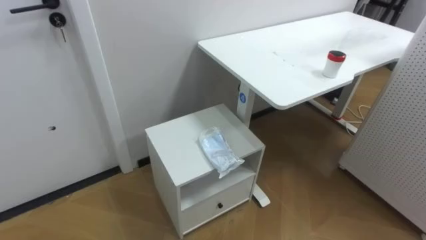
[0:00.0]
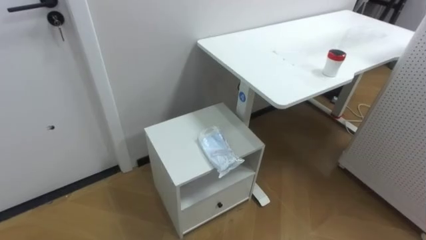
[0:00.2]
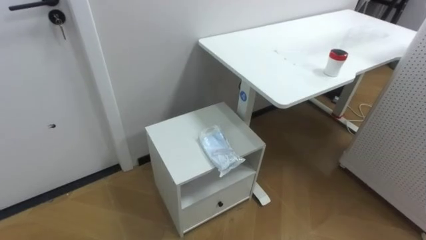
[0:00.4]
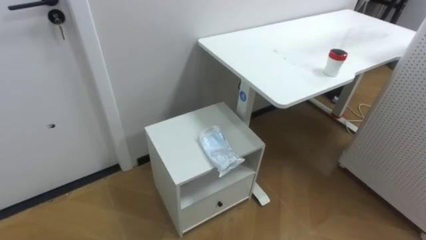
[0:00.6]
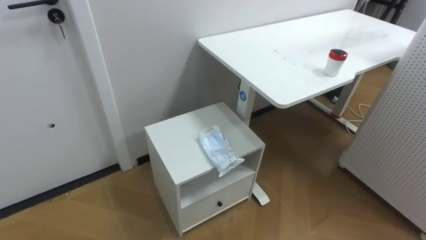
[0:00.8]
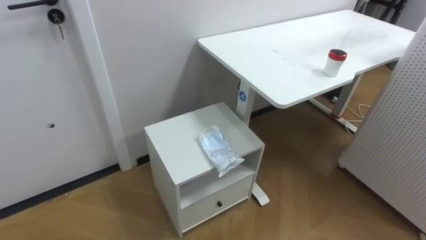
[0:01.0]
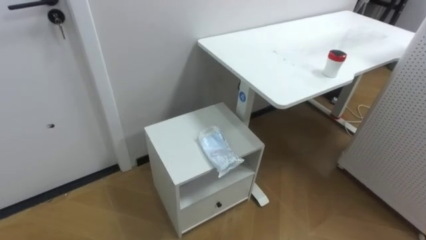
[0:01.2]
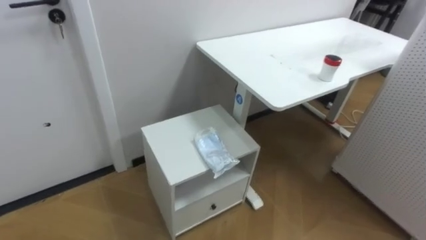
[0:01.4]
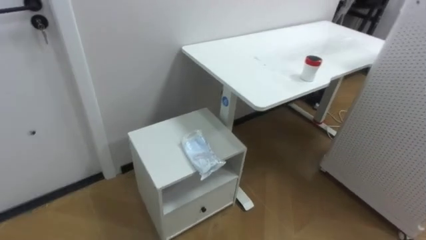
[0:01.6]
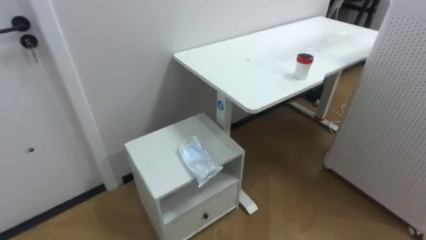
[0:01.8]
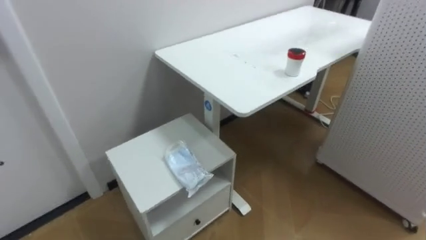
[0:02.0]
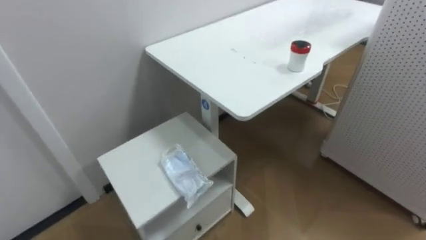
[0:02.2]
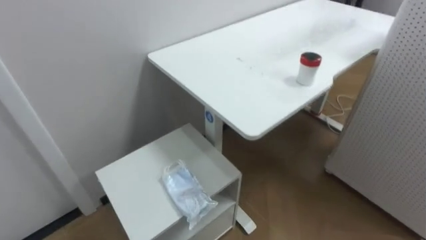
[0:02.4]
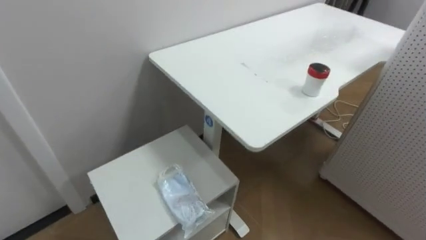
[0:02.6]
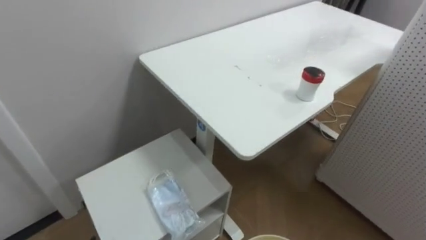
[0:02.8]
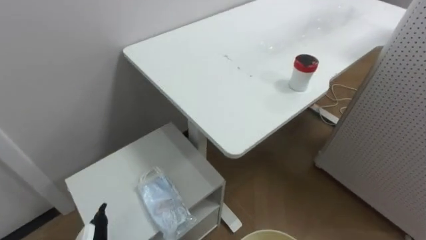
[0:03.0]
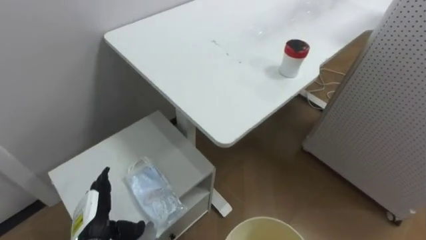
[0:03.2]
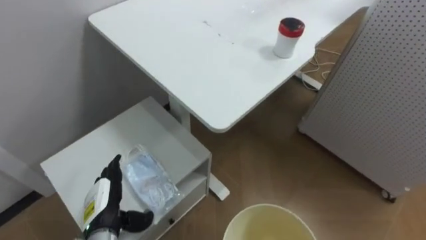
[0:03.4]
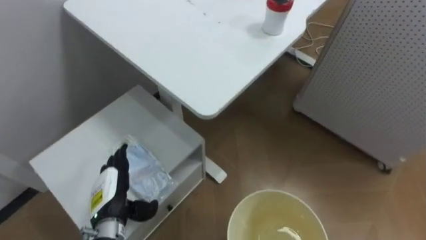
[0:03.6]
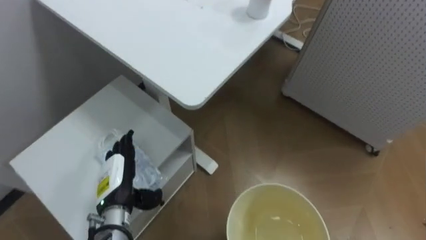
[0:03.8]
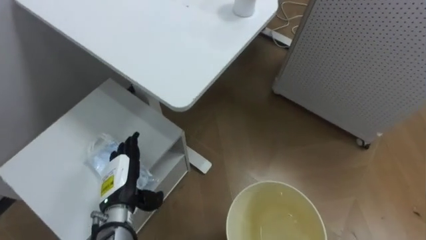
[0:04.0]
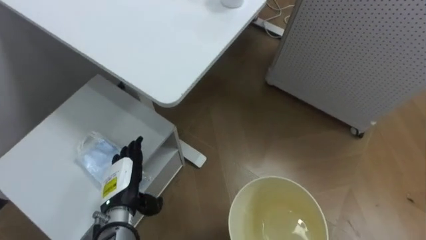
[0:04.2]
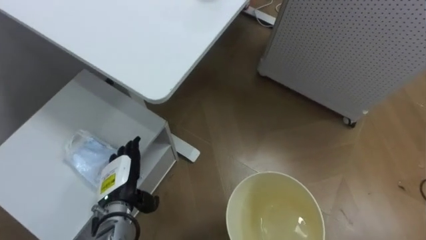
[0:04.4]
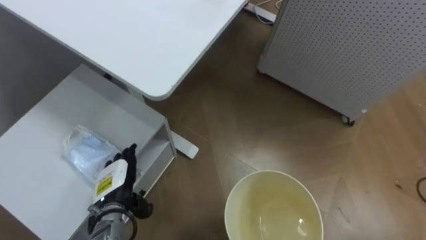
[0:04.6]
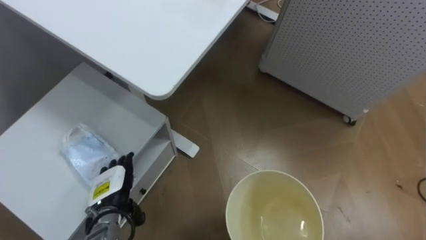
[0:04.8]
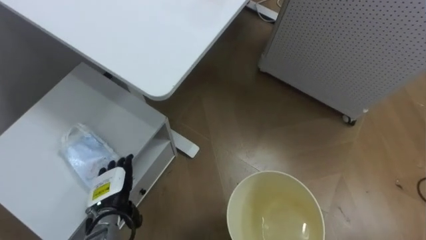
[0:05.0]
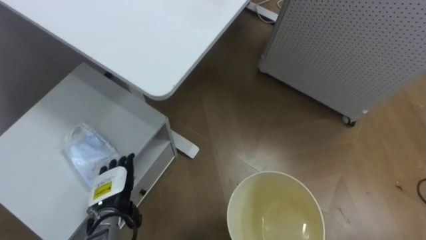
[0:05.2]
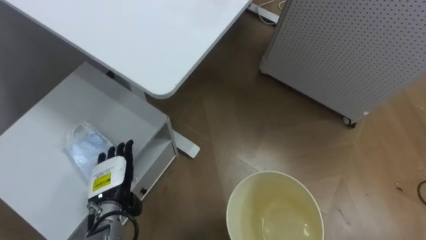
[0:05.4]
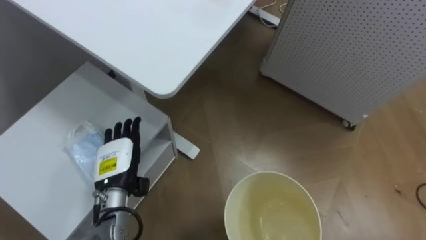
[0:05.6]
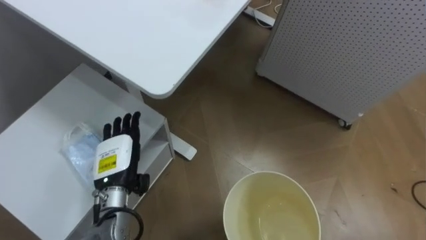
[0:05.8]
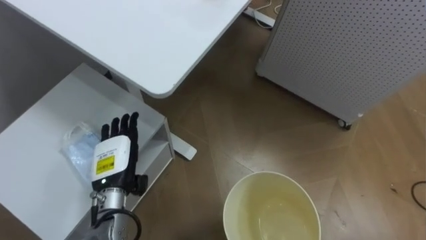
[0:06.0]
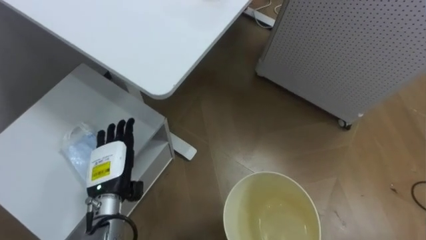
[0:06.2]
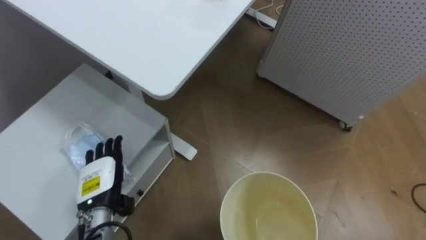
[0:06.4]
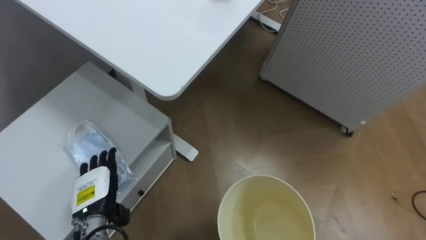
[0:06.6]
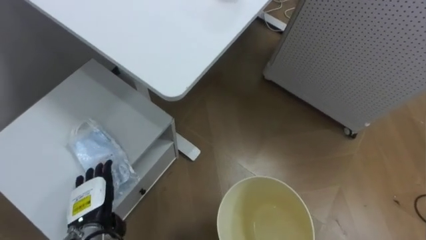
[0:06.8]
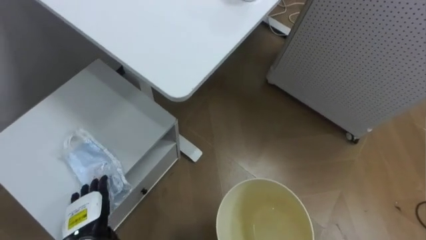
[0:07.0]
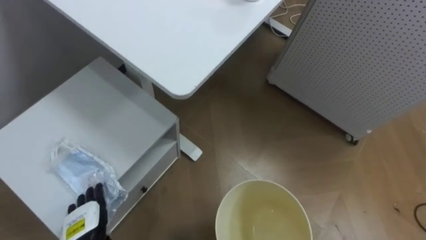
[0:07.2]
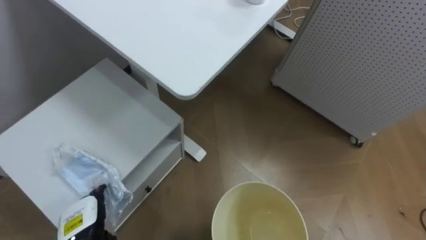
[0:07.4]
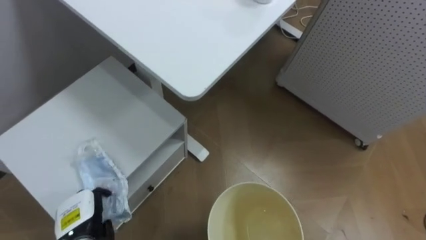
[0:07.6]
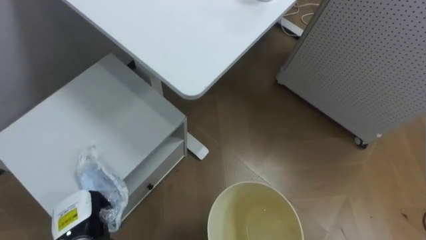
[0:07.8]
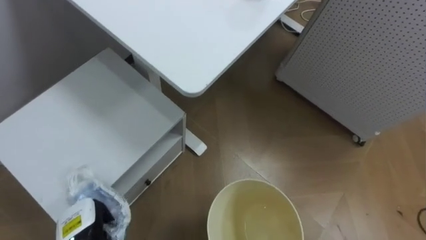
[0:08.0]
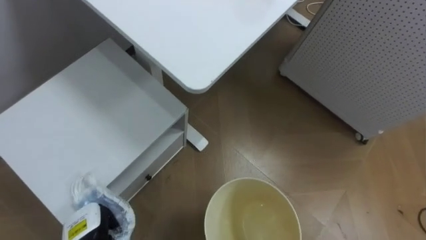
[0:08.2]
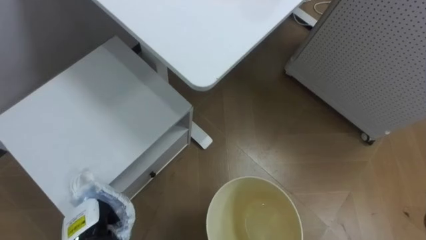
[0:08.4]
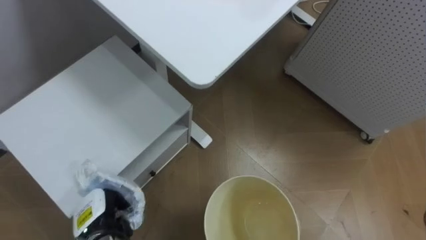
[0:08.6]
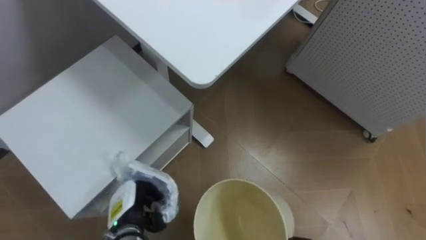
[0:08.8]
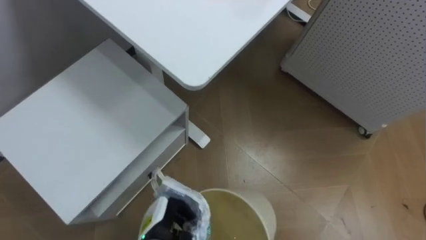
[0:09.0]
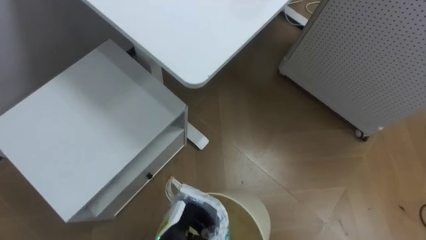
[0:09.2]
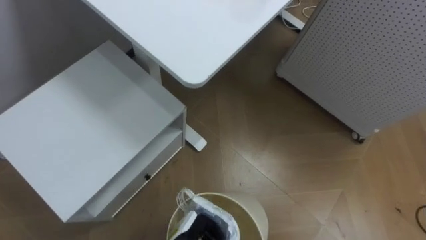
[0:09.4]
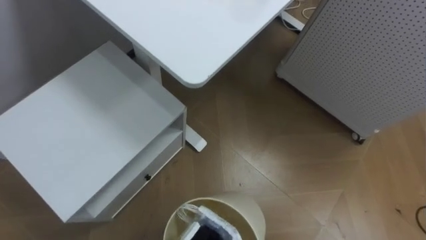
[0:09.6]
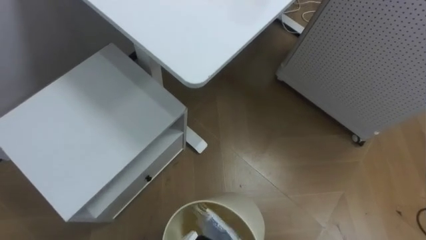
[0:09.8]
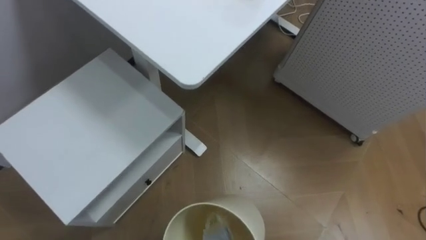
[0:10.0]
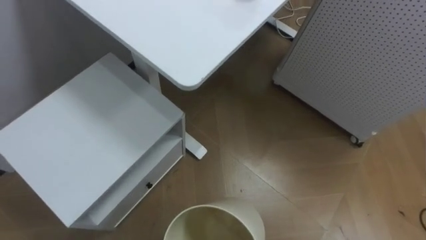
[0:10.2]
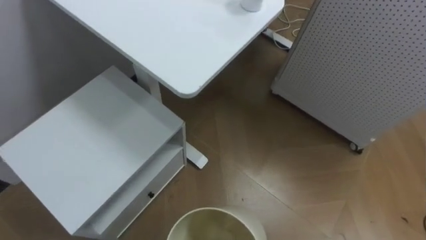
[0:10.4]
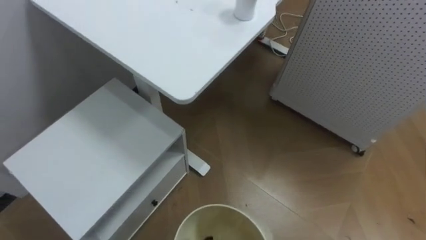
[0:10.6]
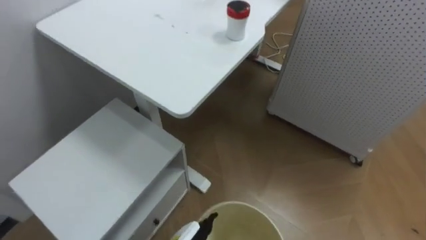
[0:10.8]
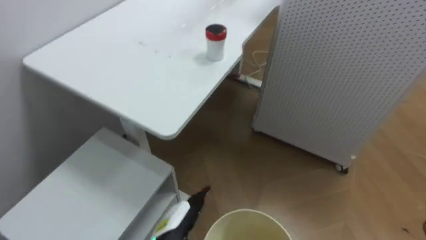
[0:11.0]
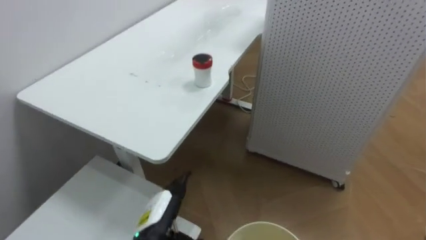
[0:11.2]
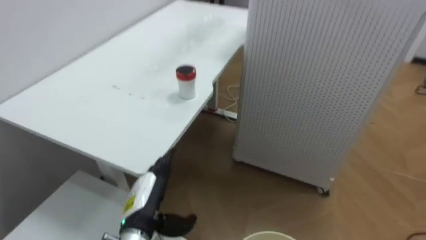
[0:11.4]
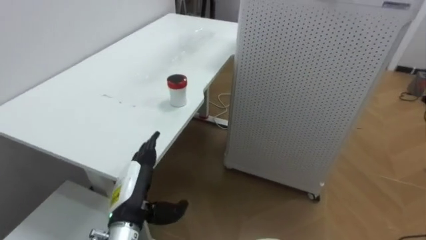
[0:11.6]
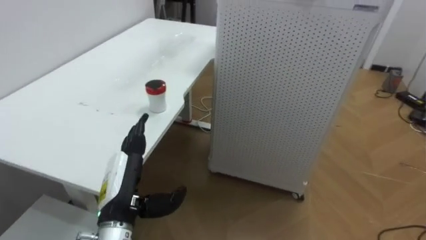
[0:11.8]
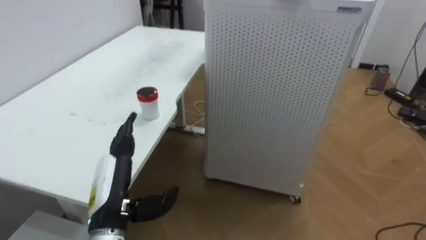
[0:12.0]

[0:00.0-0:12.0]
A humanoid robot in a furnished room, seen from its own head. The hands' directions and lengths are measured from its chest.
Task of the whole recording: Pick up the light blue package, the candy box, and the dark blue package separately, and put them into the trash can held in your right hand.
0:06.0 to 0:07.6: The left hand moves downward, backward and to the left, some 15 cm.
0:07.6 to 0:09.0: The left hand moves to the right, roughly 15 cm, and closes its fingers.
0:10.4 to 0:12.0: The robot faces roughly 30 degrees further to its right.

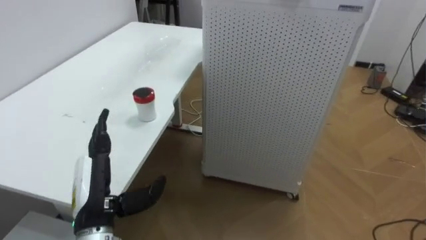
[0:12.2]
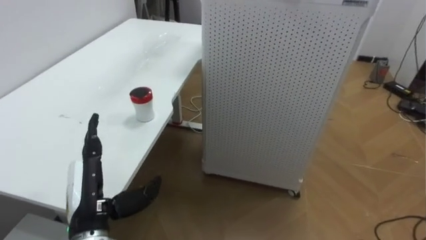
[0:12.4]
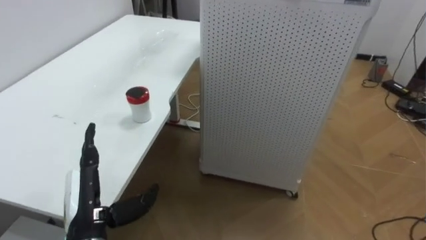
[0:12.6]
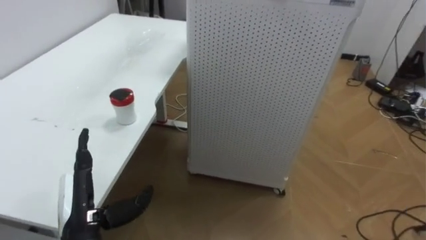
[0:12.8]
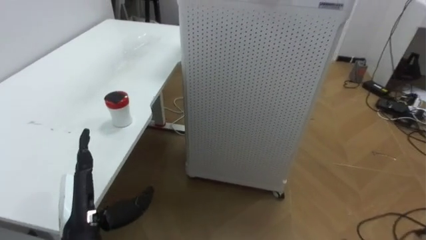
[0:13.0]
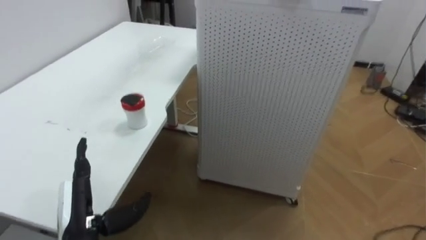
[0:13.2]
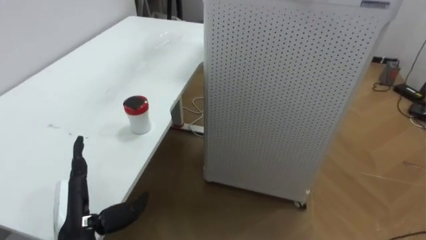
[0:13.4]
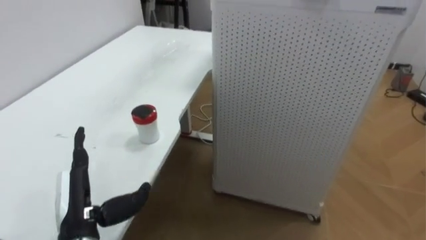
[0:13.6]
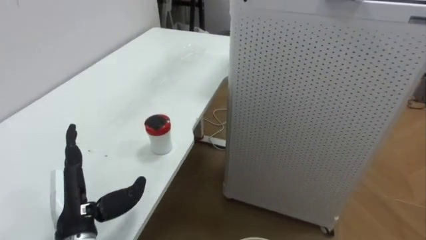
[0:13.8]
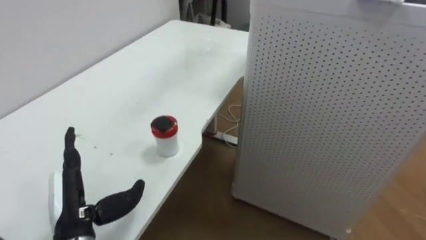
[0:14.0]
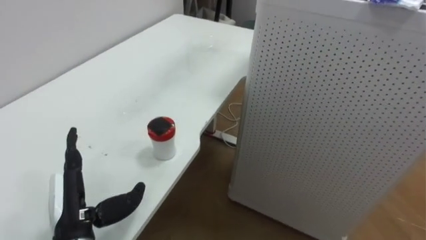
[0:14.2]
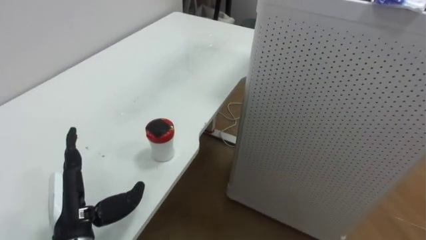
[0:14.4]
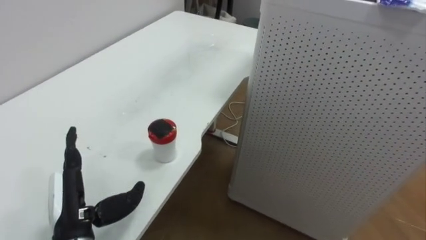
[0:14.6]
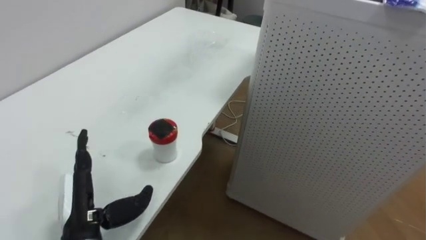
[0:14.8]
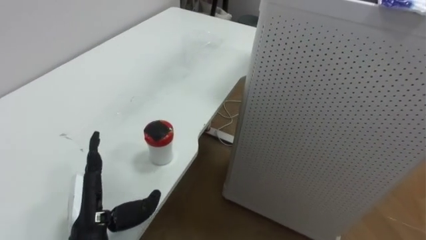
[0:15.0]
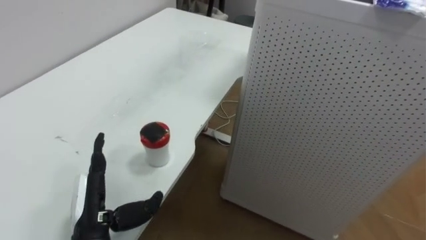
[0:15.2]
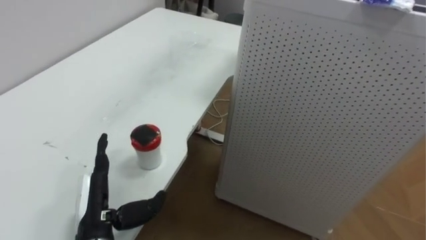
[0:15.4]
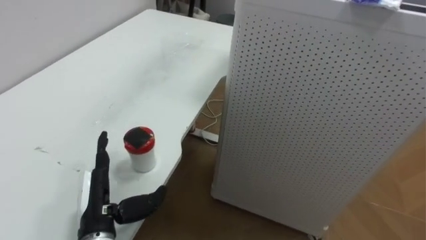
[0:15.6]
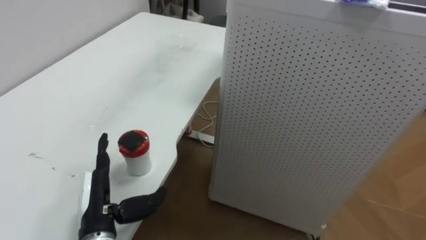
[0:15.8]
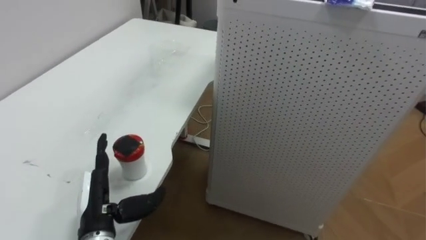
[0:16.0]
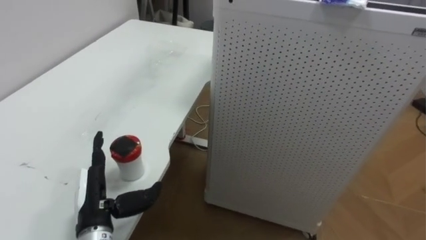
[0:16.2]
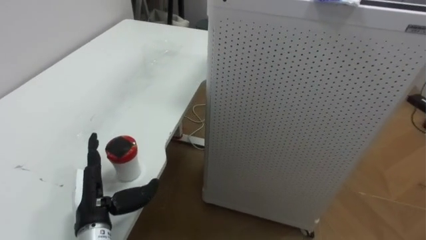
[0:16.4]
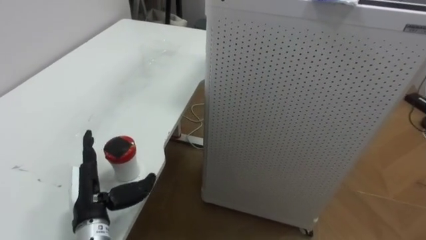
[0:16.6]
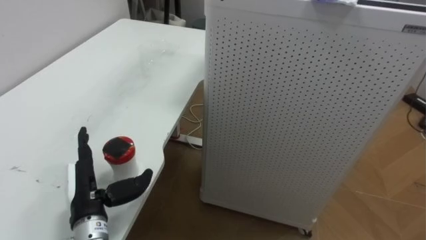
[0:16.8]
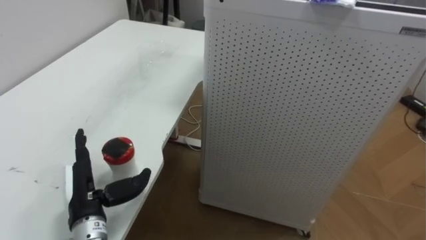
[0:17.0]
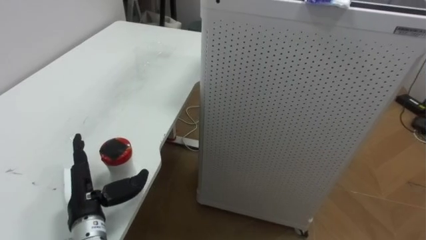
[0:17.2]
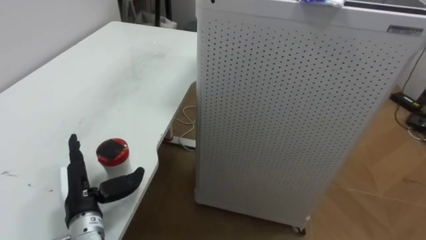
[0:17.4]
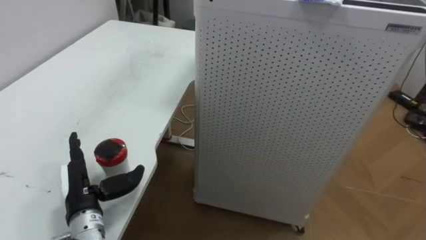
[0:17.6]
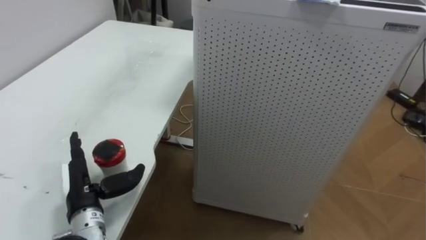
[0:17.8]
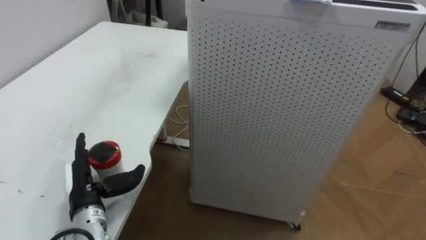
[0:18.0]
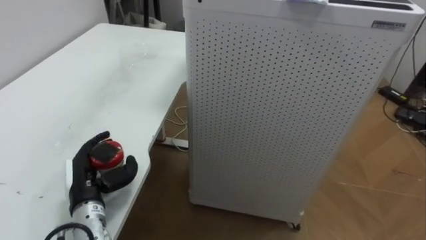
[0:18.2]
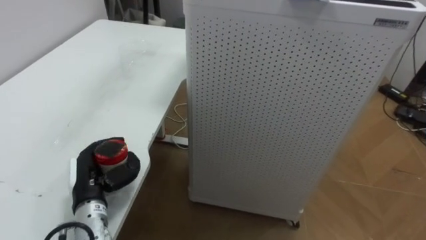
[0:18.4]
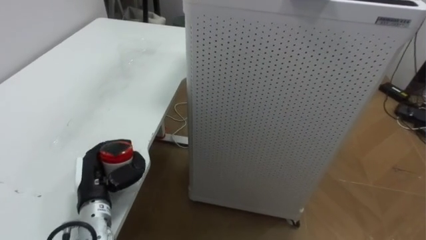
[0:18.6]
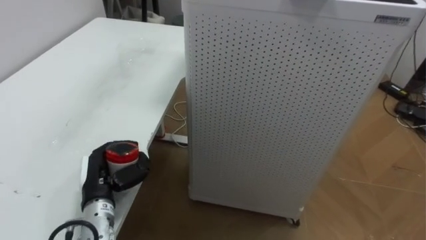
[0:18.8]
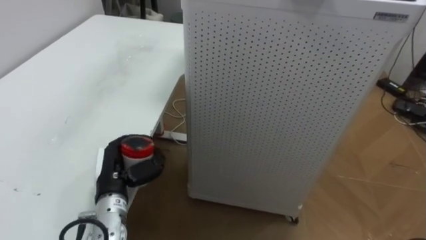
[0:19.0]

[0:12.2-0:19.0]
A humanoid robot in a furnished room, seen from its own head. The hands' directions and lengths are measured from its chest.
Task of the whole recording: Pick up the light blue package, the candy box, and the dark blue package separately, and put them into the trash can held in your right hand.
0:17.6 to 0:19.0: The left hand moves about 5 cm, and closes its fingers.
